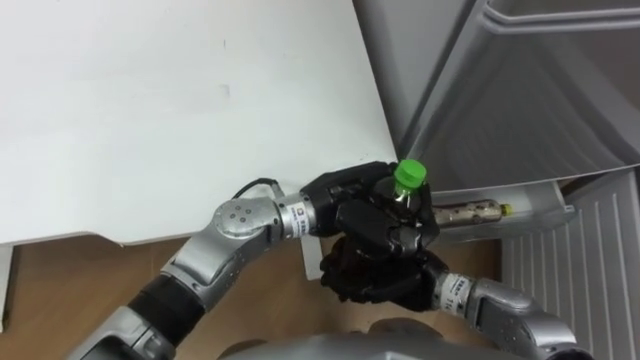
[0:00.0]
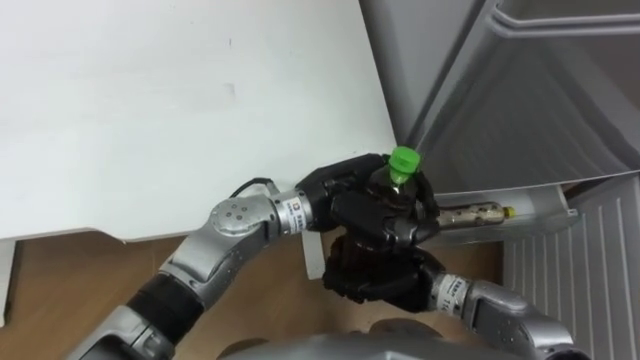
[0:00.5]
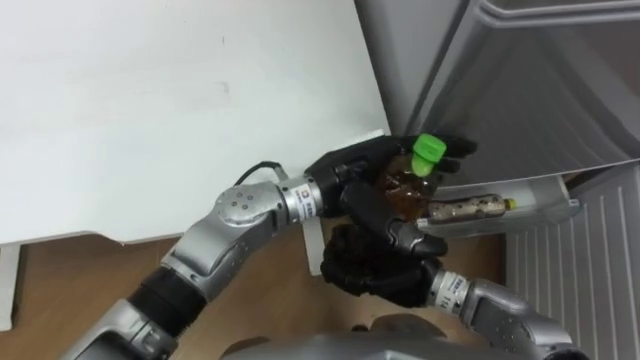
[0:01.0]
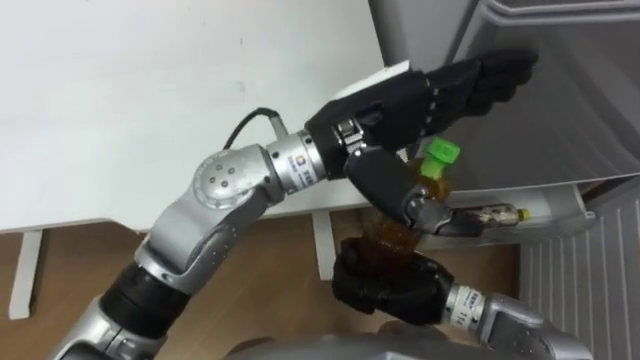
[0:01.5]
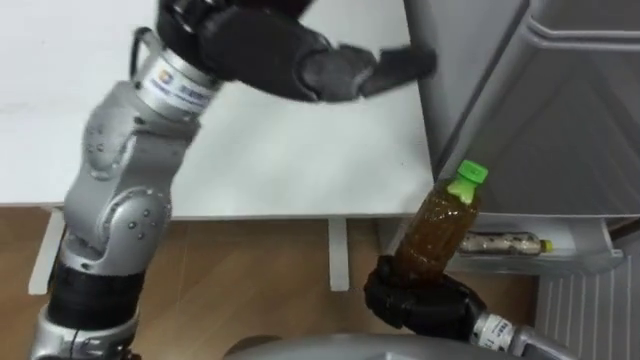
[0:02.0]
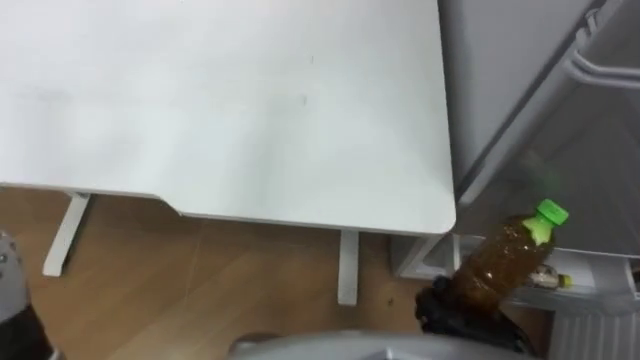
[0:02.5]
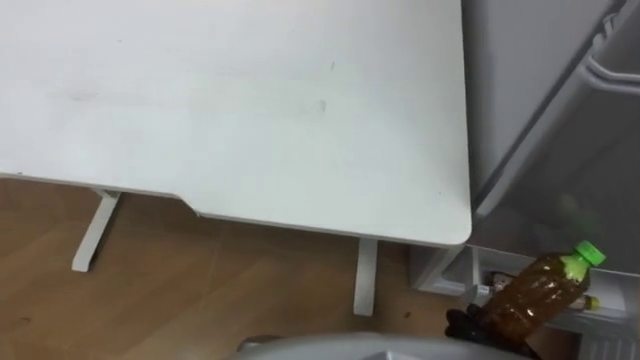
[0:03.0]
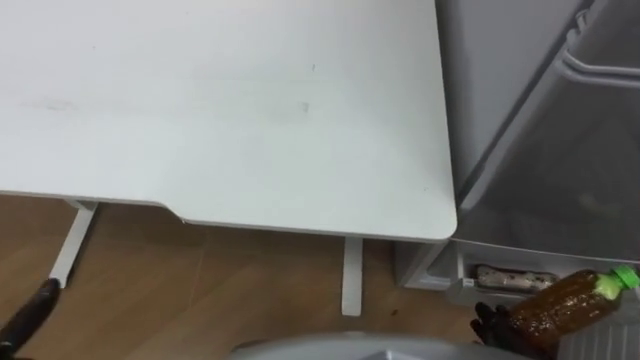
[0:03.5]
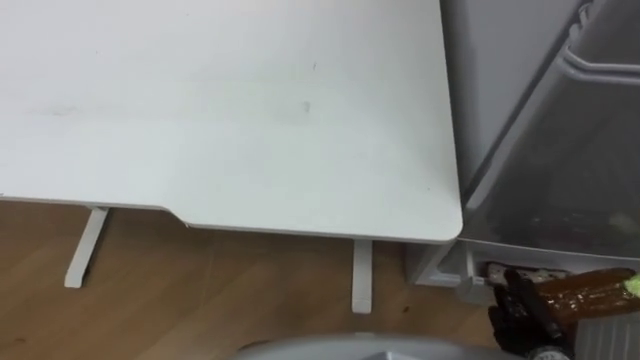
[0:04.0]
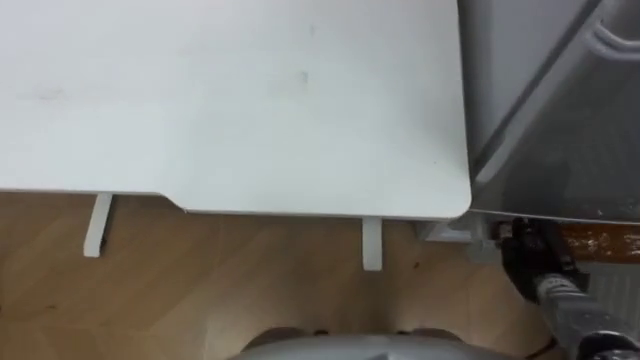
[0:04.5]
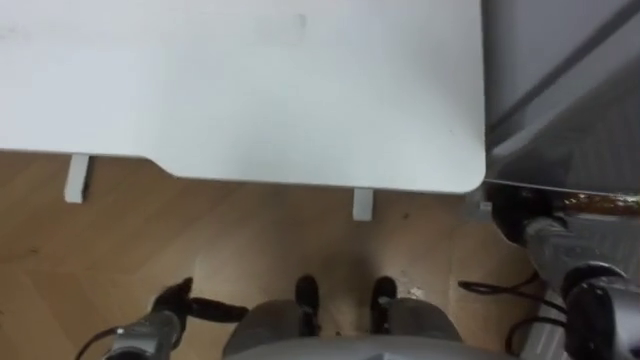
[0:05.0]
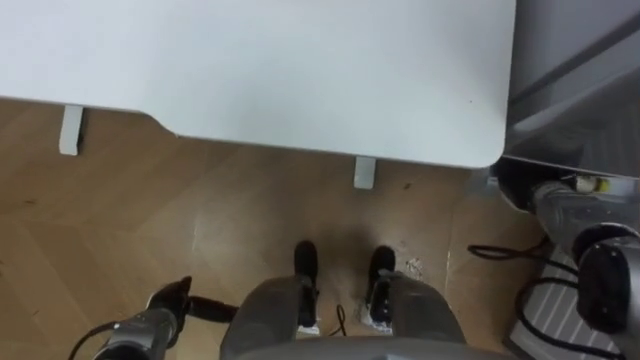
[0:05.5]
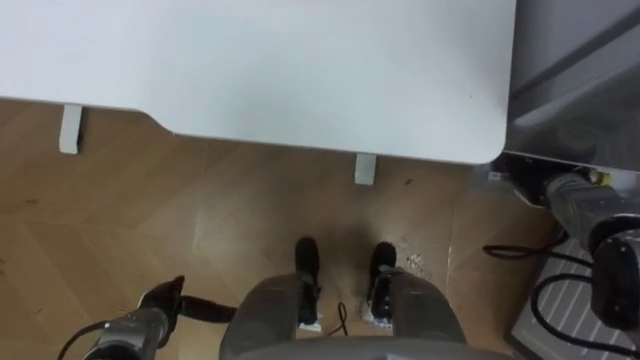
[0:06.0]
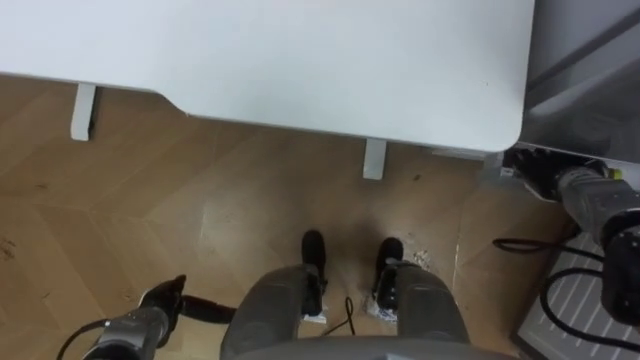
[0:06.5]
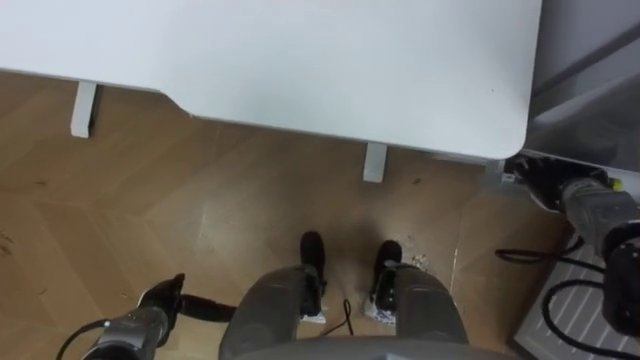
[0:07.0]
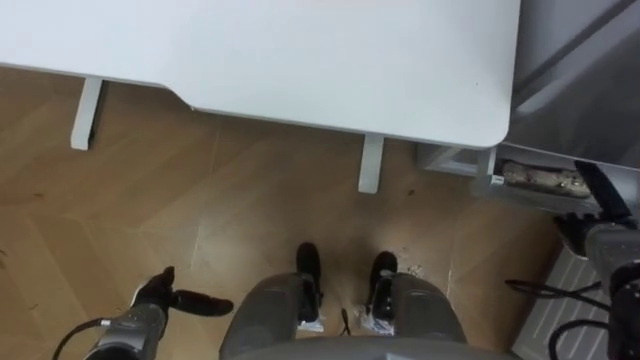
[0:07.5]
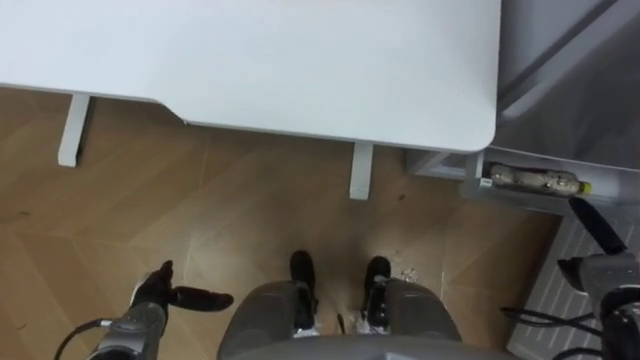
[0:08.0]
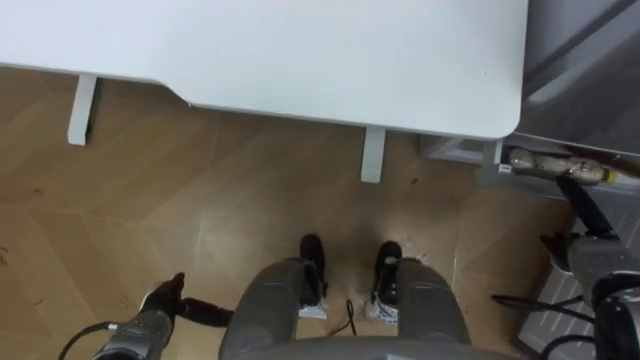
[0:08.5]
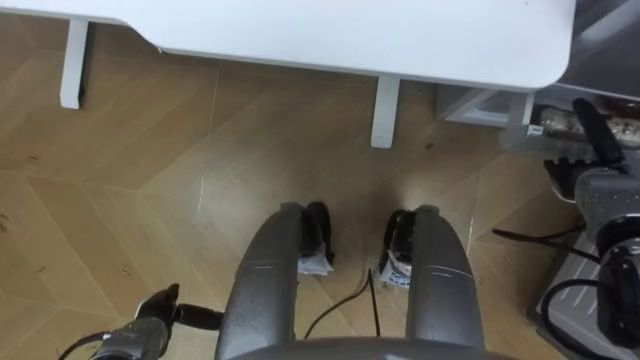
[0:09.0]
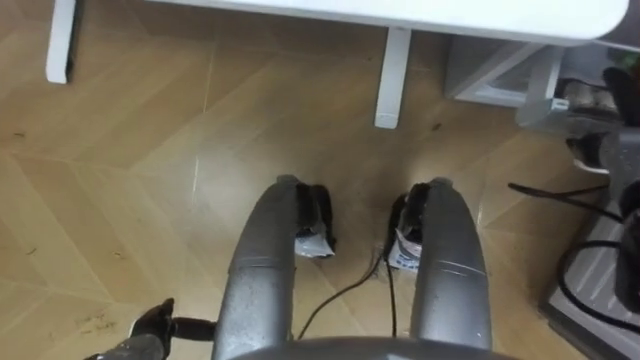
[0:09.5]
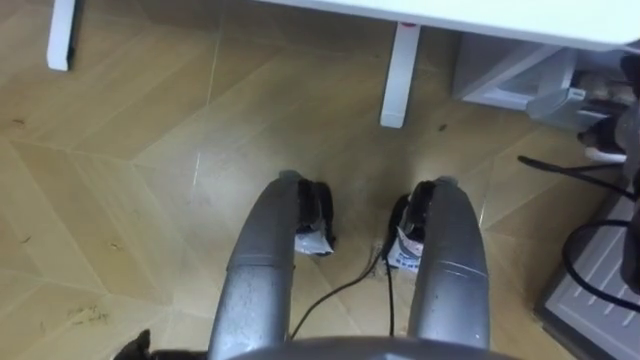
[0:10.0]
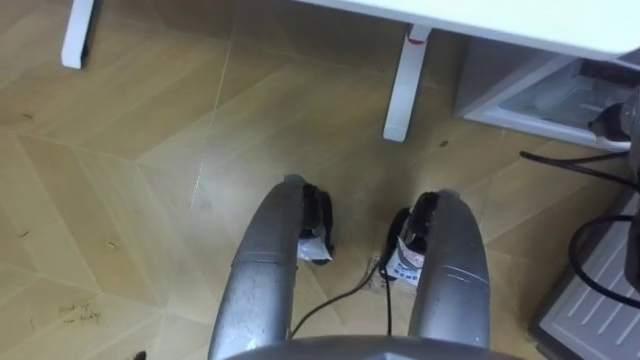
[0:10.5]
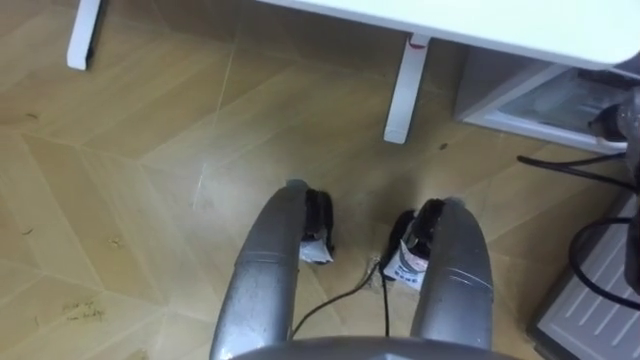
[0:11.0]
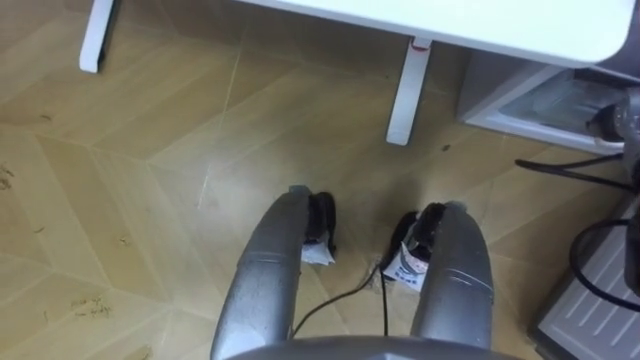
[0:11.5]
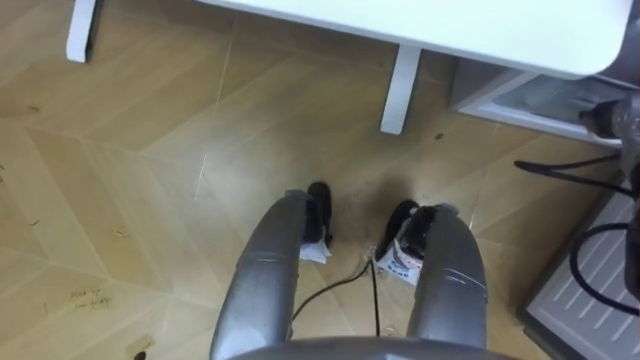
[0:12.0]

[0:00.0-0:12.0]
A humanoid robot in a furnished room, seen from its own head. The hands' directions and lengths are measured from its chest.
Task of the whole recording: Place the drink on the table on the bottom shelf of the refrigerator, then close the drawer and the refrigerator door.
0:00.0 to 0:02.0: The right hand shifts by some 5 cm, while the left hand goes some 25 cm upward, and opens.
0:04.0 to 0:06.0: The right hand shifts some 25 cm forward and upward, and opens.
0:06.0 to 0:08.0: The right hand heads backward and to the right, covering roughly 15 cm.
0:08.0 to 0:10.0: The right hand heads forward and upward, covering some 20 cm.

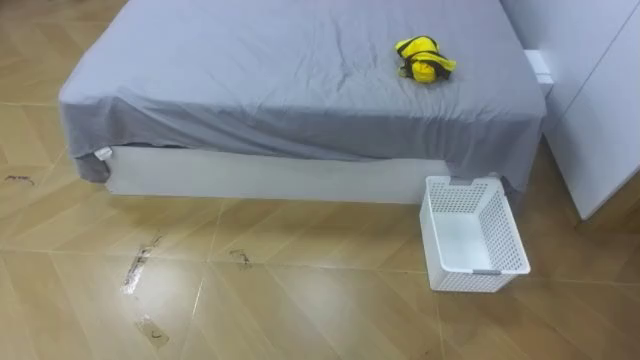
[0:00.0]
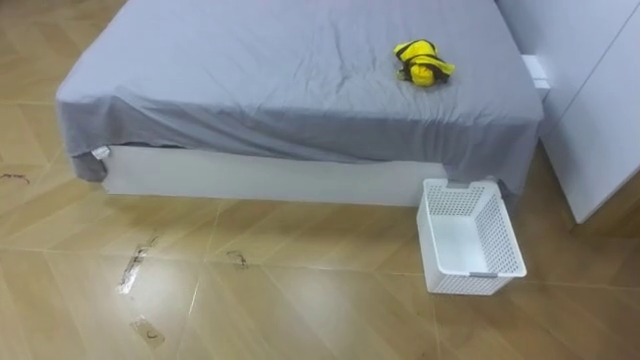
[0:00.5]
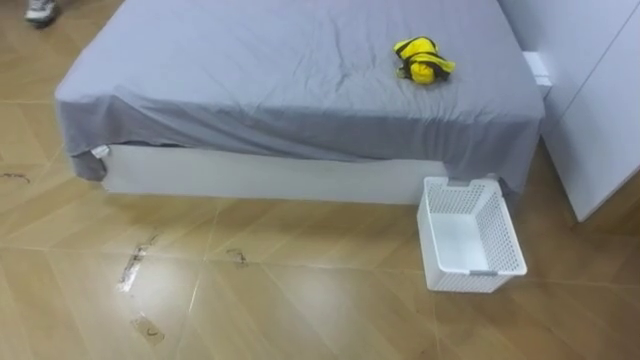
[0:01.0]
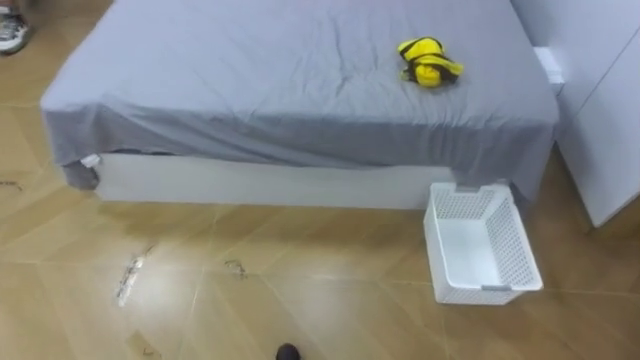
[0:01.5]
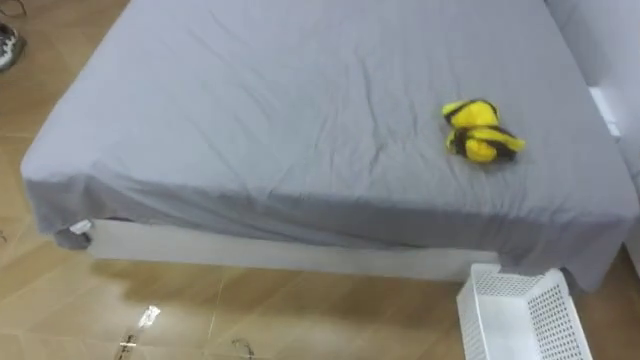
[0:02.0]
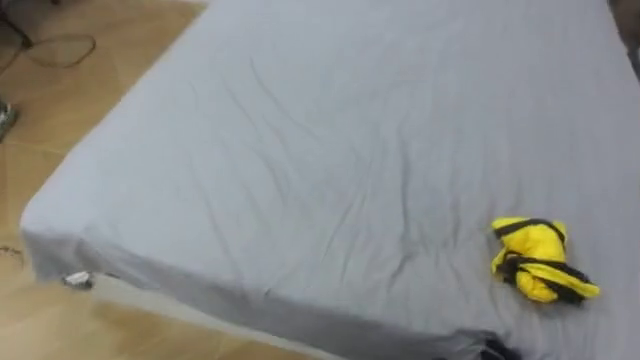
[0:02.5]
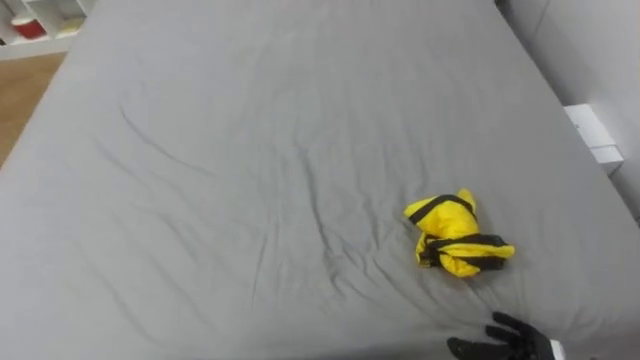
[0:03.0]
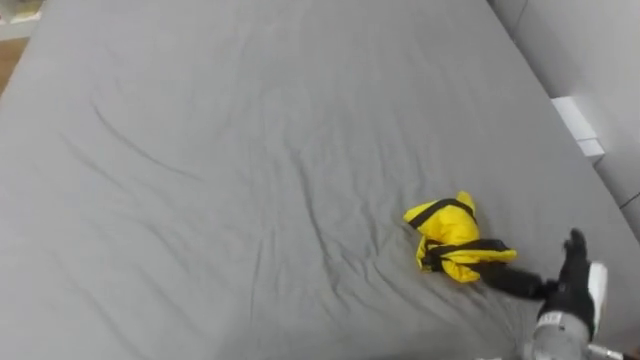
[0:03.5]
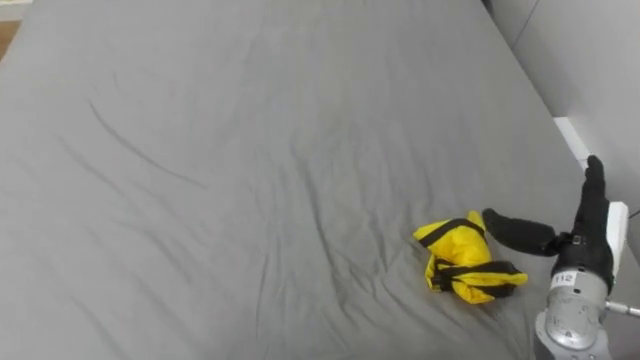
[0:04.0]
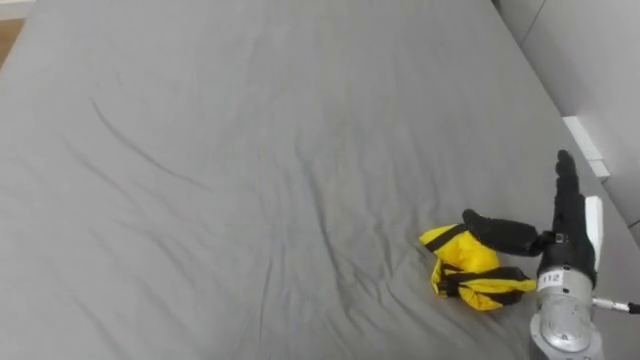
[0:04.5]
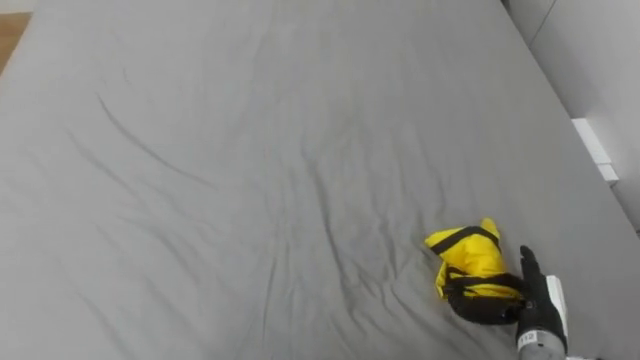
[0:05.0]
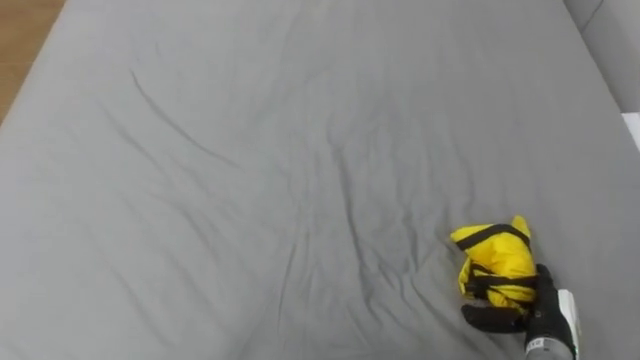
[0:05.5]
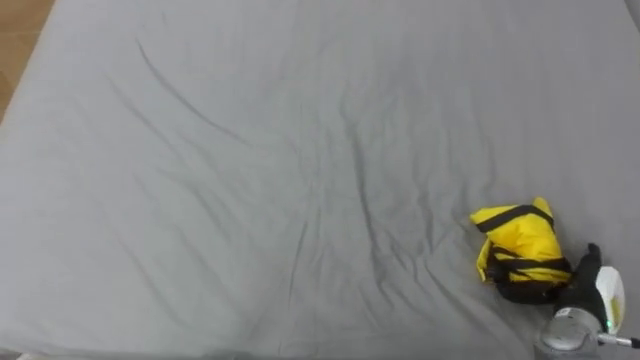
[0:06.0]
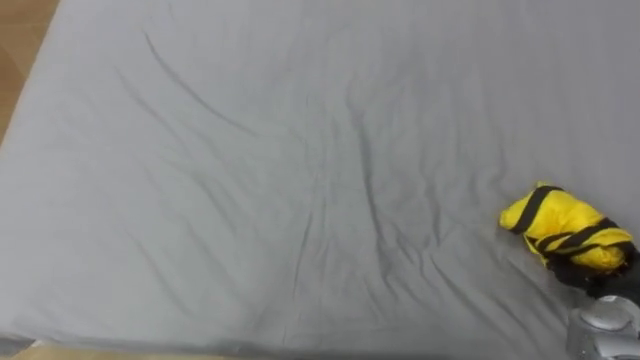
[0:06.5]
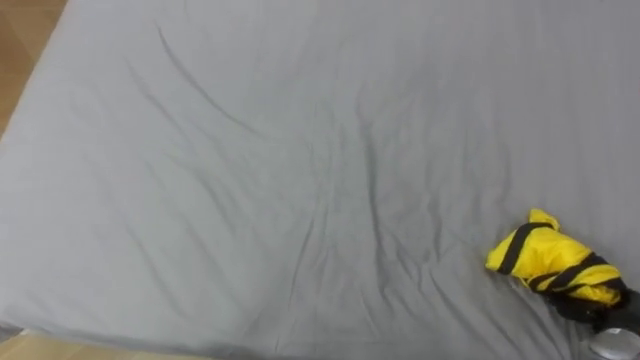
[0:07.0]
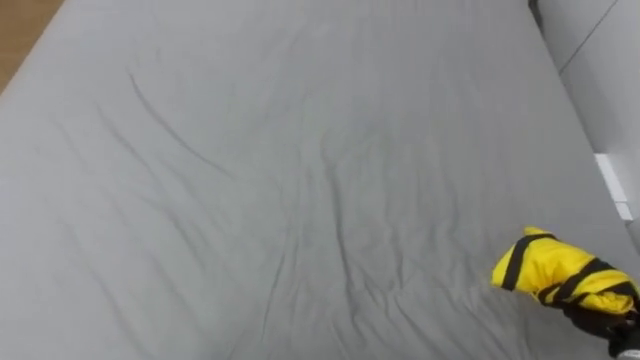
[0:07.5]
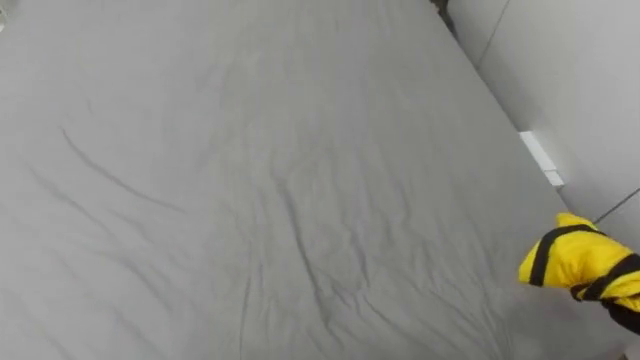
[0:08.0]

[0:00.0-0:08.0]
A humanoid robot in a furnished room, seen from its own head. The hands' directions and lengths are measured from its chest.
Task of the whole recording: Pick up the yellow clothes on the bed and place them into the white basket on the right.
0:04.0 to 0:06.0: The right hand is displaced downward by about 10 cm.
